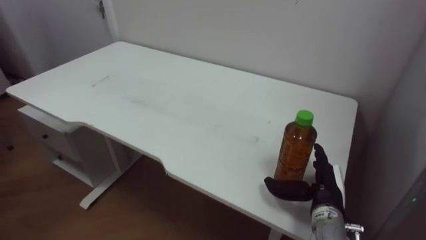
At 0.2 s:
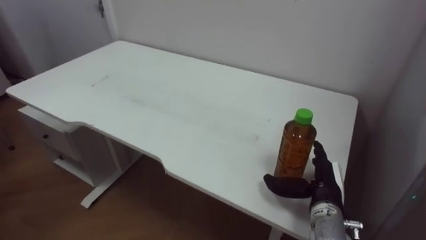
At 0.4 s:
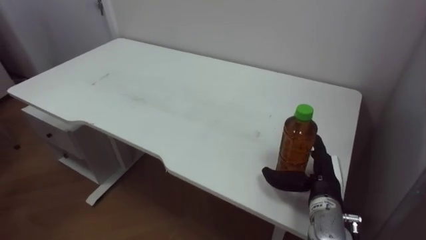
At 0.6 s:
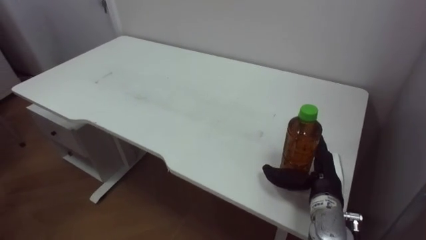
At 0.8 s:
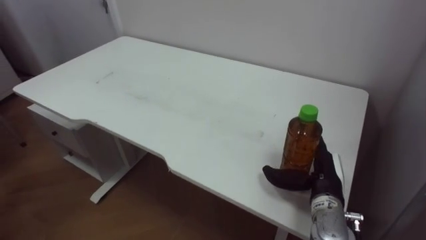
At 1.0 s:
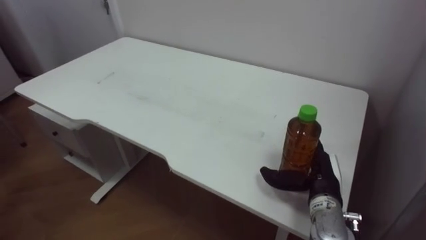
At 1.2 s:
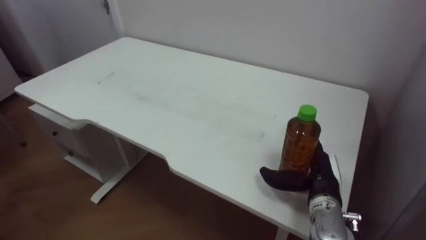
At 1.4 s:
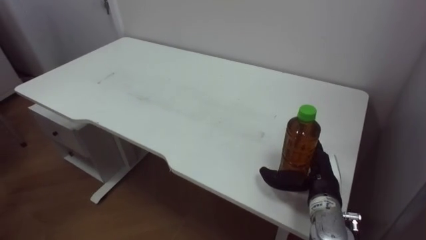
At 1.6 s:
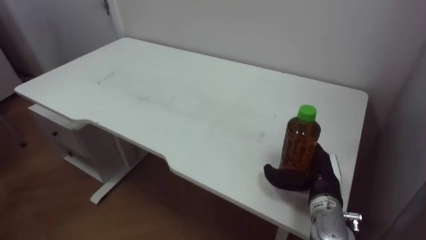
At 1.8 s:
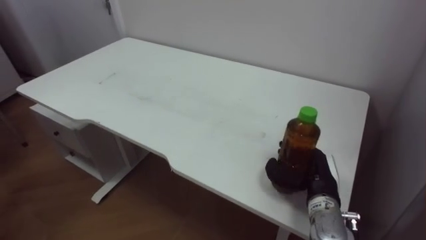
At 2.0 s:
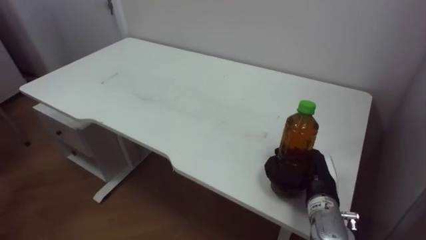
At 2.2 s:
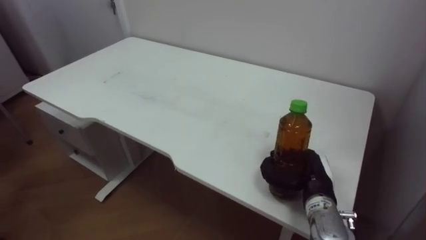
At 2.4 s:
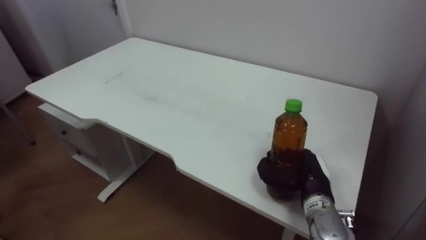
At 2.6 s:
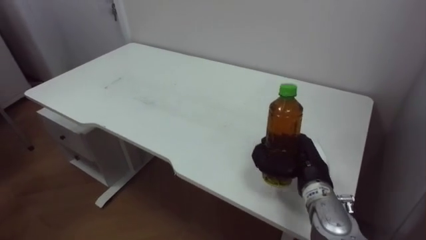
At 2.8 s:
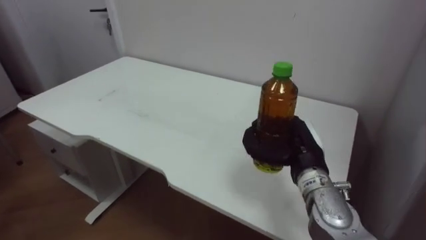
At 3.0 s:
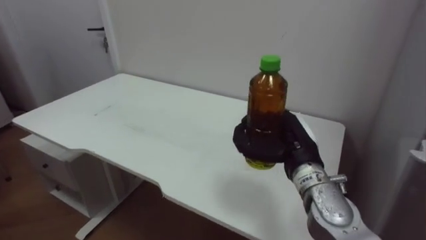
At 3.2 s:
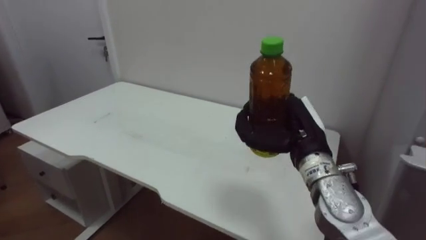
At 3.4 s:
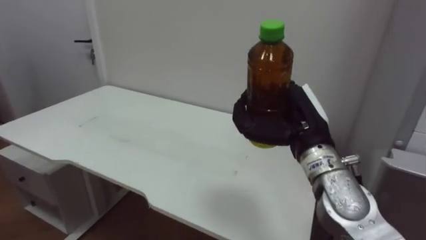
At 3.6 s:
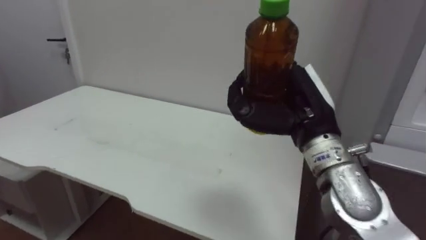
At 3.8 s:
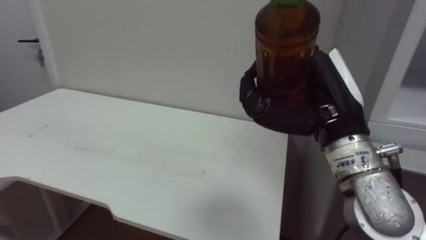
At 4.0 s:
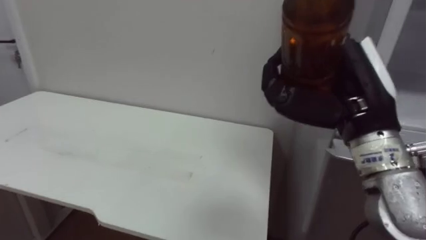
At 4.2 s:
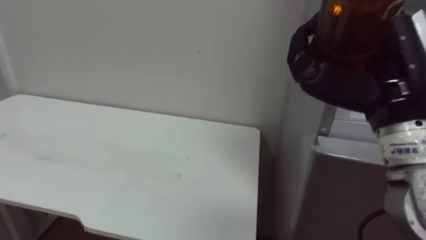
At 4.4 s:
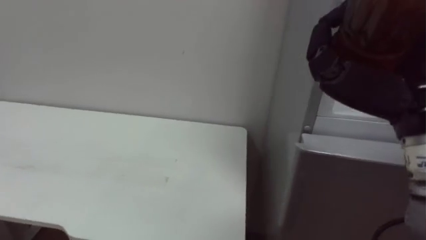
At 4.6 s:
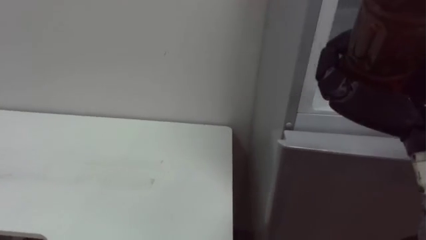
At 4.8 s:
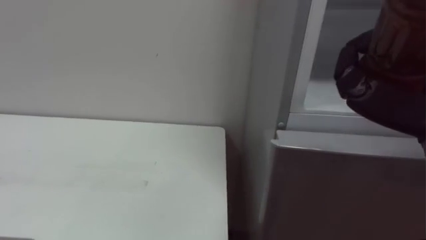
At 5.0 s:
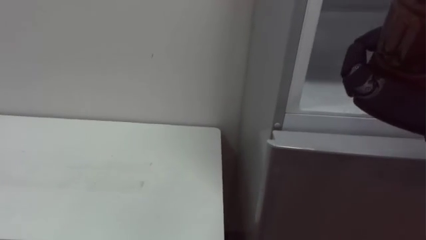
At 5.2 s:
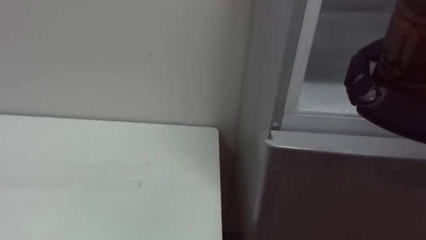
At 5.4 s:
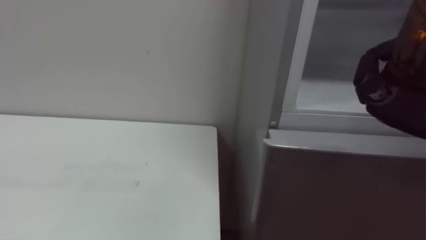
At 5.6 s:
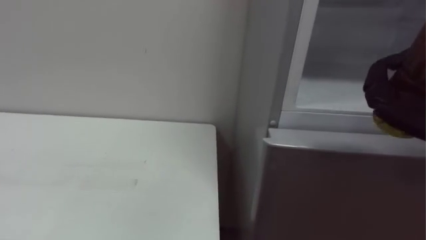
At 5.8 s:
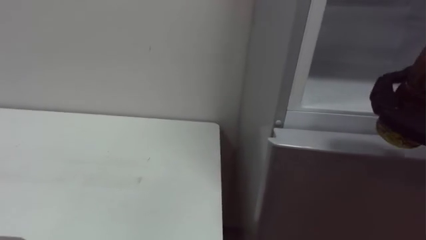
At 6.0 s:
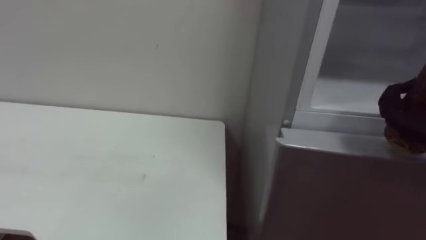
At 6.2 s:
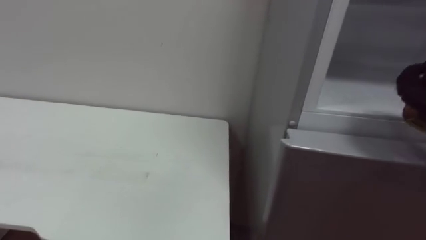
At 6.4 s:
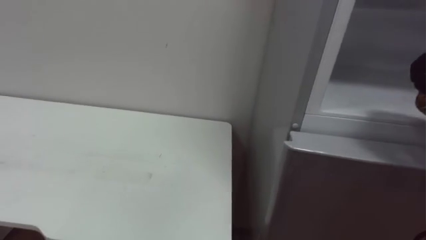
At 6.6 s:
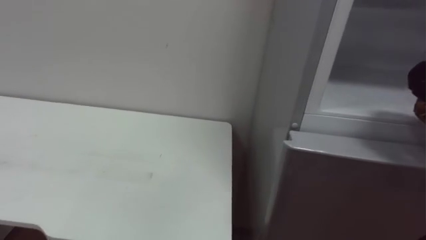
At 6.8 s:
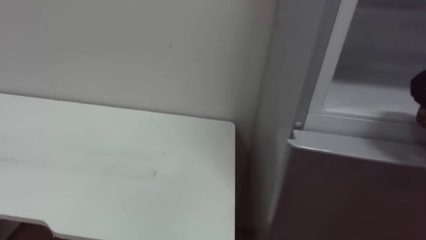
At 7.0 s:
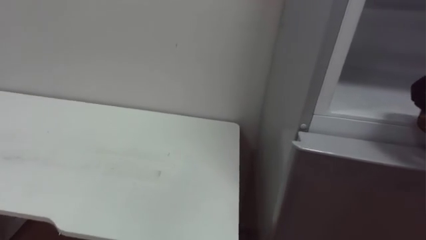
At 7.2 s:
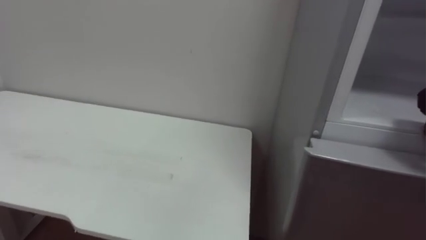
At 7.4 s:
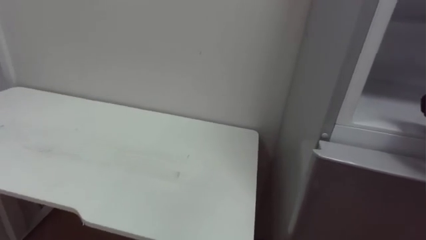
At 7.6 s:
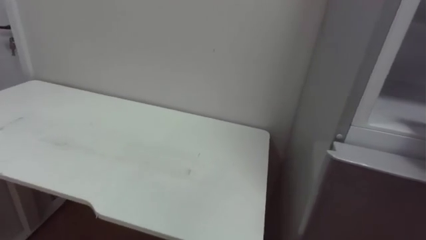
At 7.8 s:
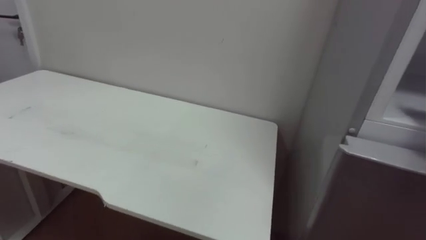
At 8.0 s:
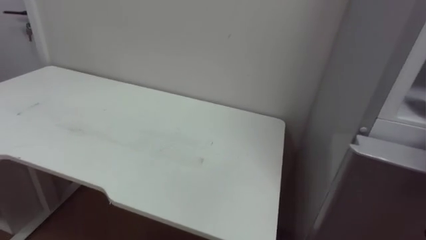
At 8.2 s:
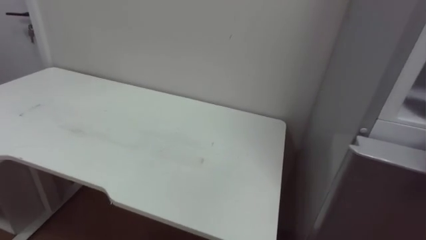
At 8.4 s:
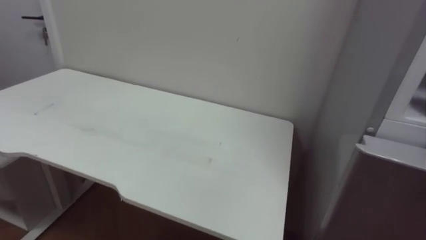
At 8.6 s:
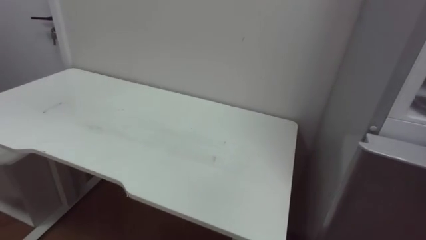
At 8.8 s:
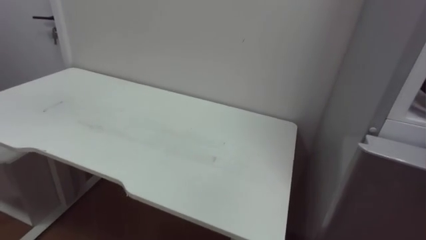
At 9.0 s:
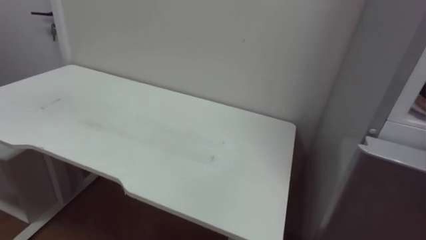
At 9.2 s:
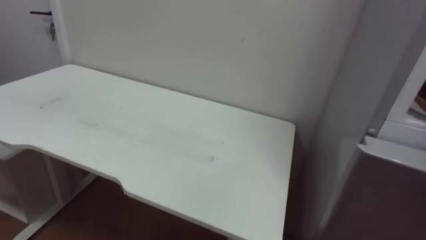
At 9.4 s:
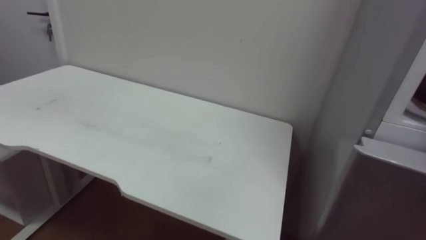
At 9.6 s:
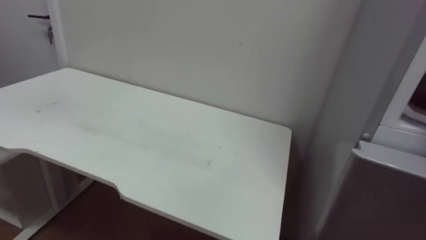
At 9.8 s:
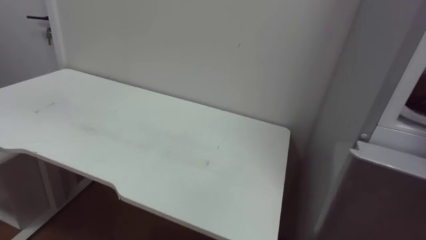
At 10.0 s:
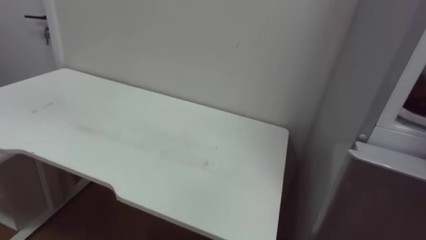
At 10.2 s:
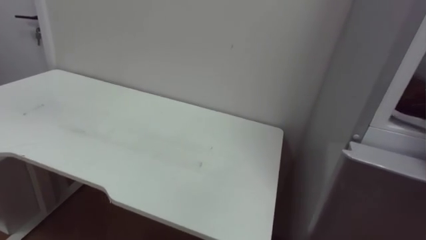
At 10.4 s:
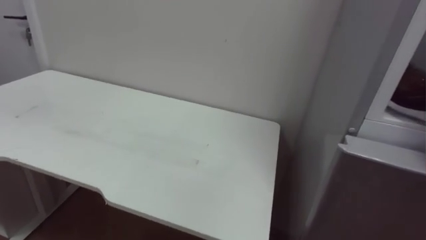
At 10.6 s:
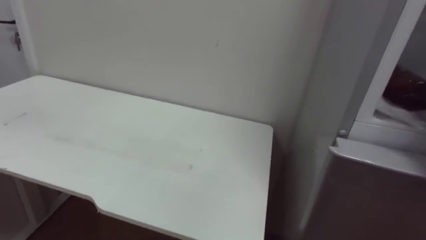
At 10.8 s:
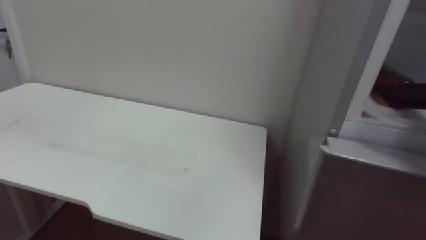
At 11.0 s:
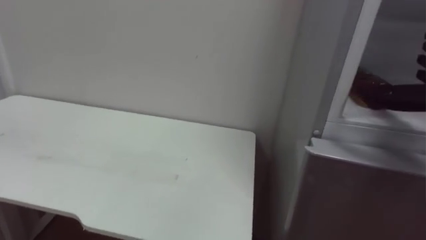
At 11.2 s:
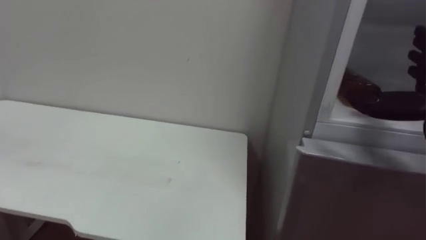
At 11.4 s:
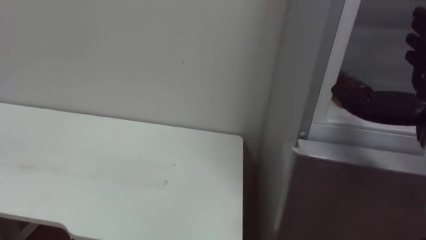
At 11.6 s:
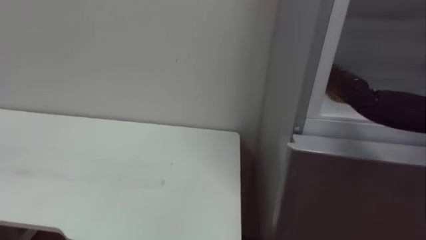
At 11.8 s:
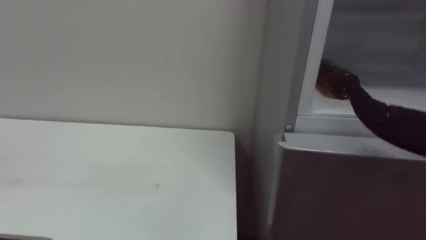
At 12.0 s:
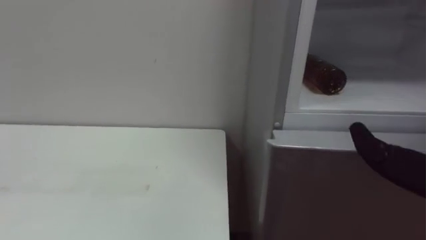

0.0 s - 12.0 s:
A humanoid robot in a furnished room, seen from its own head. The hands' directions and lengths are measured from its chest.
Task of the whole recording: Open the upper refrigerator door, put the drink from the table into the refrigerator, and then close the refrigerator door.
1.6 s - 3.0 s: The right hand shifts roughly 10 cm upward and to the left, and closes.
3.0 s - 4.4 s: The right hand moves upward, backward and to the right, some 20 cm.

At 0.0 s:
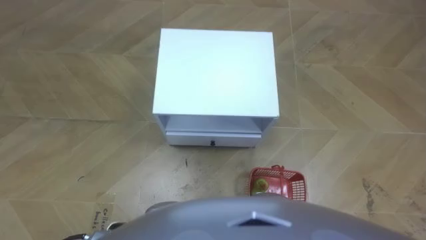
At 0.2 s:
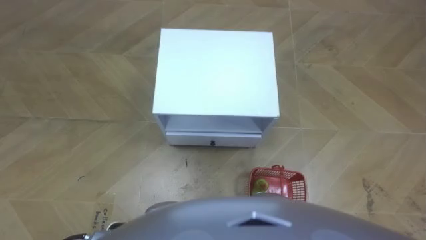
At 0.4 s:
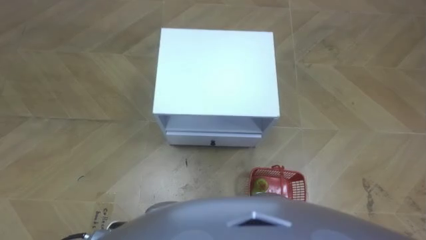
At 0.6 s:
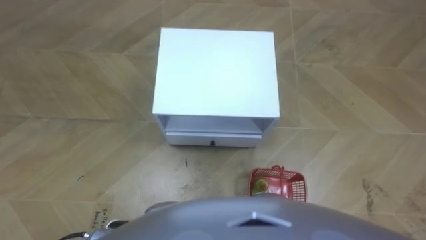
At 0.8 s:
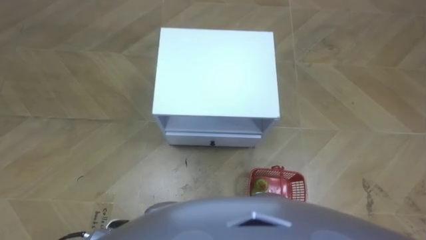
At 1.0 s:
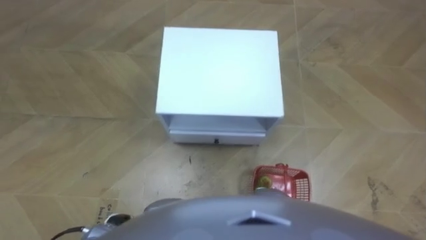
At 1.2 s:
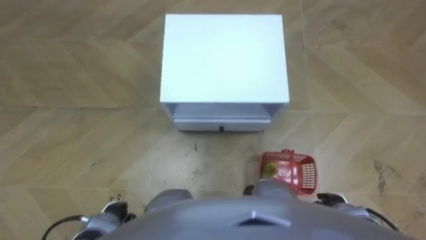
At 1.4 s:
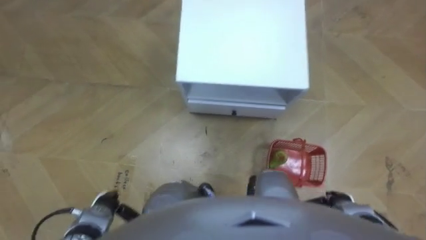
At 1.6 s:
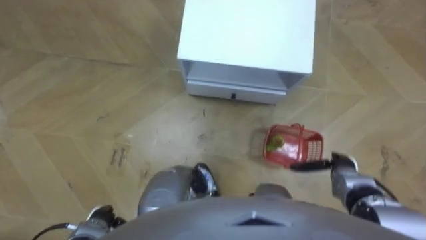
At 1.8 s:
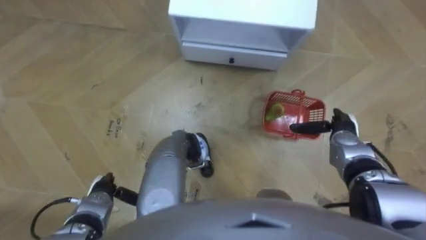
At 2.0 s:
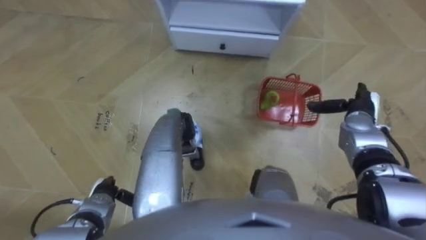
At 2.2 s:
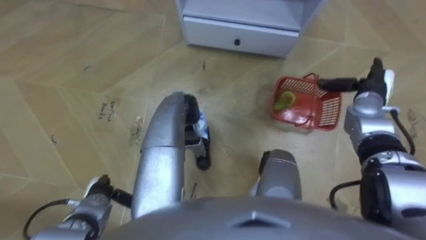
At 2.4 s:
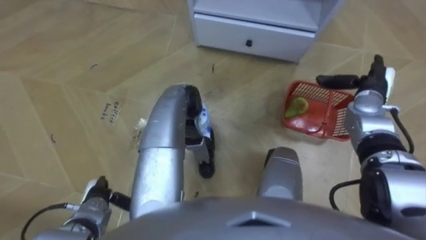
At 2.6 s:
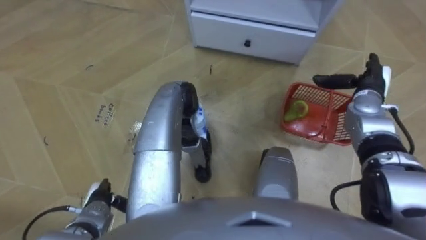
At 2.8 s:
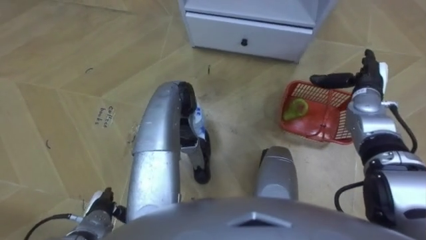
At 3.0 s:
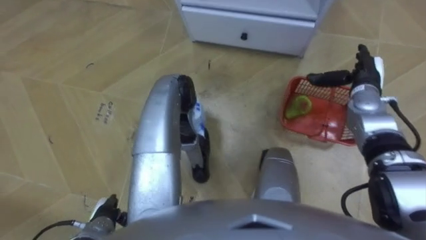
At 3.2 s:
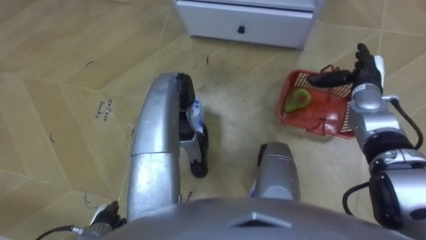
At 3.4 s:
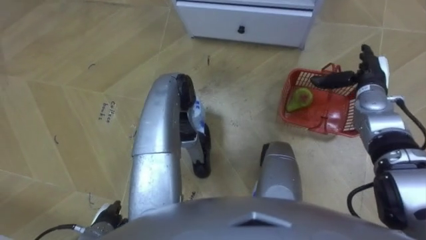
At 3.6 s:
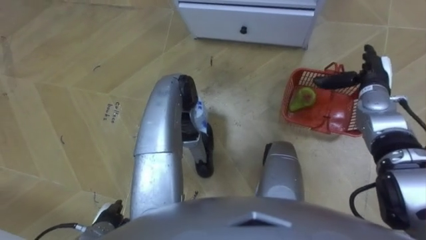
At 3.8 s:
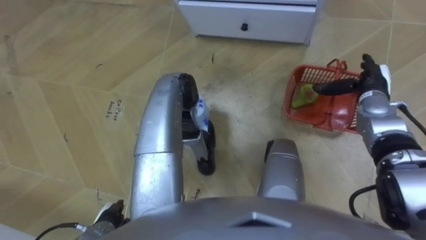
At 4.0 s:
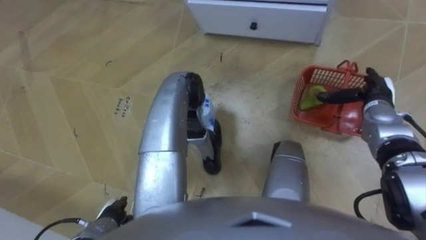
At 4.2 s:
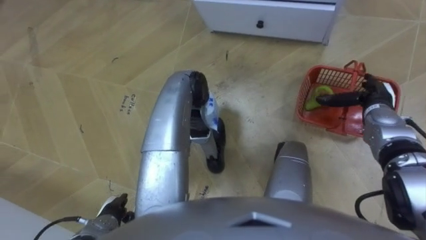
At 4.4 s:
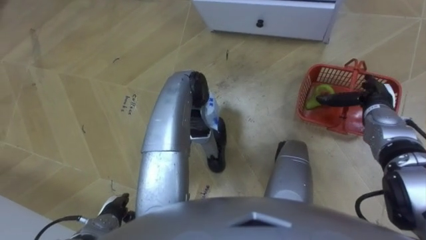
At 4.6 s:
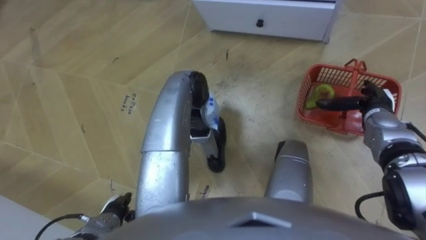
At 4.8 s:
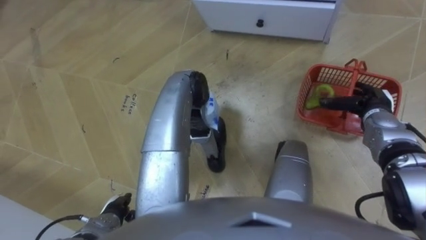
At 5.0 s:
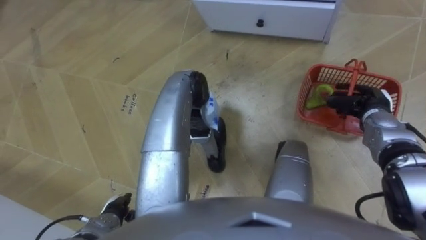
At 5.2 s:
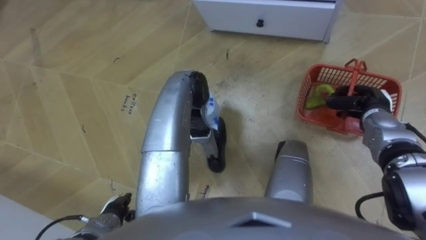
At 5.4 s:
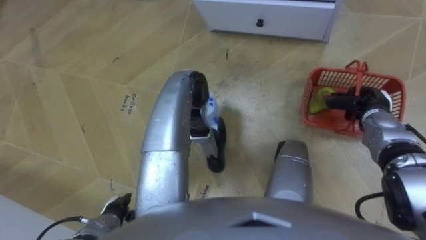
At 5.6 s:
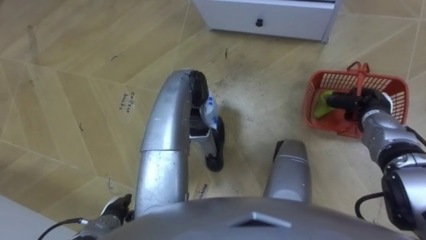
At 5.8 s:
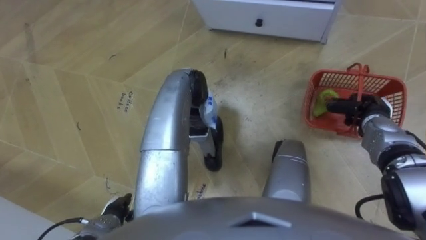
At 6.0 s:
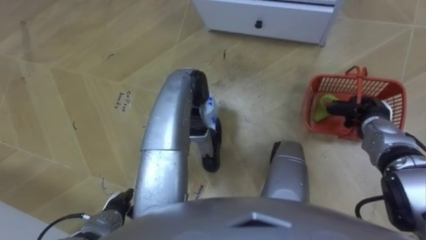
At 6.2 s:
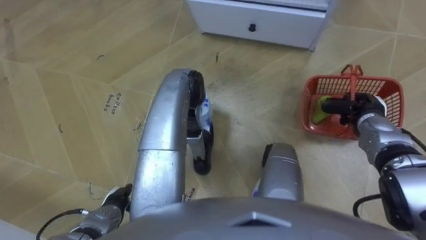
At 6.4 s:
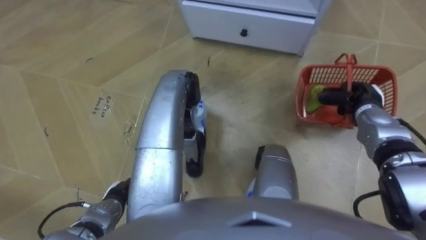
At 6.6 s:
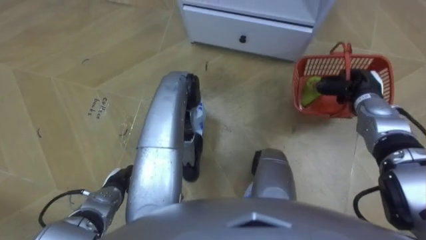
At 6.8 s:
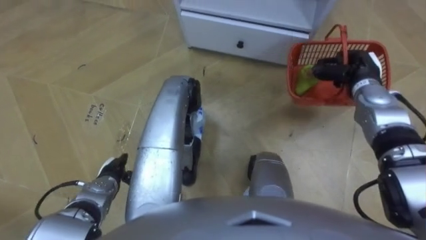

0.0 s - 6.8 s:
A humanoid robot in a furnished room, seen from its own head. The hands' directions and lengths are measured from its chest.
Task of the whole recording: Pick up the fruit basket from the floor and place it on the cabinet.
1.4 s - 2.8 s: The right hand shifts roughly 30 cm forward and upward.
4.0 s - 5.4 s: The right hand closes up.
5.4 s - 6.8 s: The left hand moves forward, approximately 10 cm, while the right hand shifts roughly 5 cm forward.
